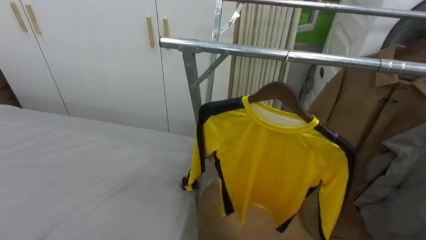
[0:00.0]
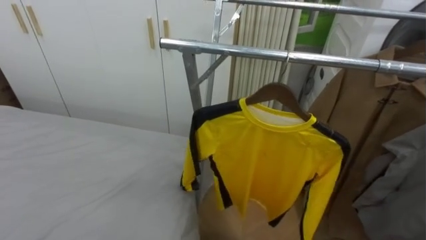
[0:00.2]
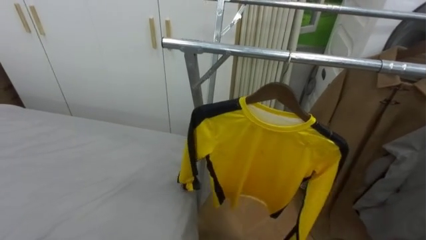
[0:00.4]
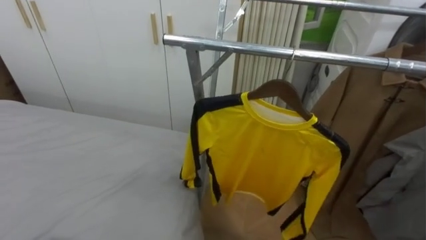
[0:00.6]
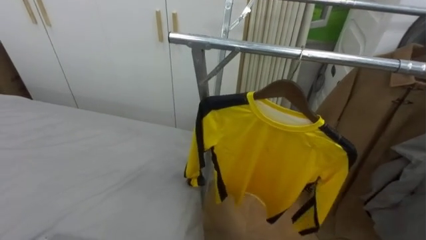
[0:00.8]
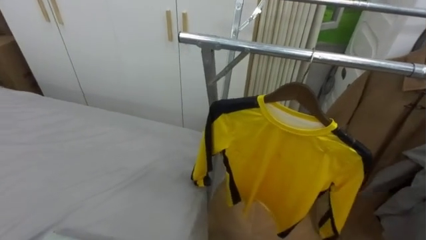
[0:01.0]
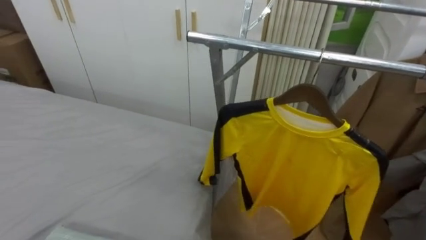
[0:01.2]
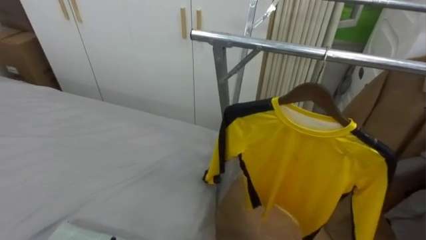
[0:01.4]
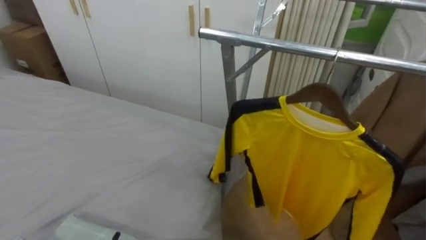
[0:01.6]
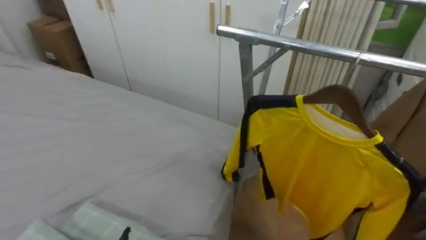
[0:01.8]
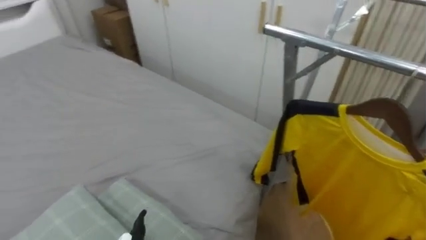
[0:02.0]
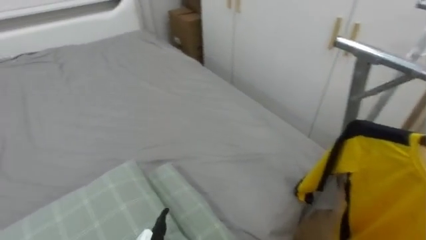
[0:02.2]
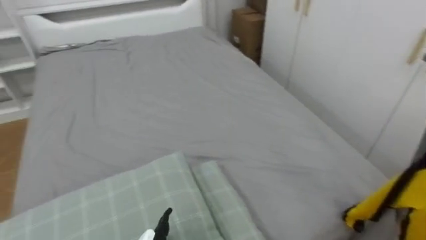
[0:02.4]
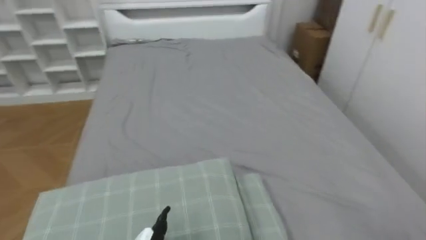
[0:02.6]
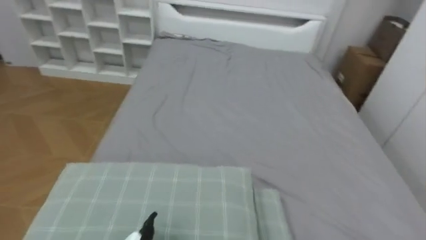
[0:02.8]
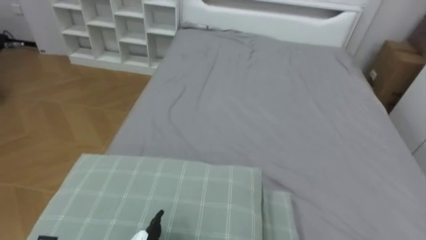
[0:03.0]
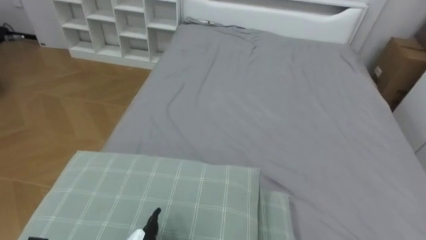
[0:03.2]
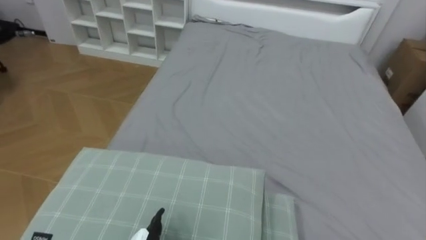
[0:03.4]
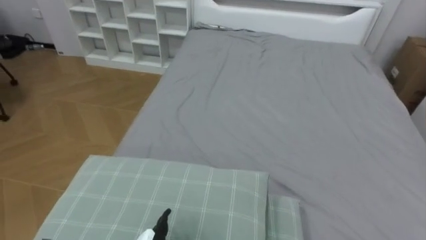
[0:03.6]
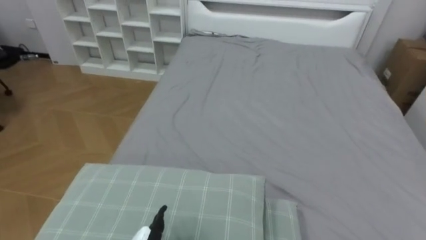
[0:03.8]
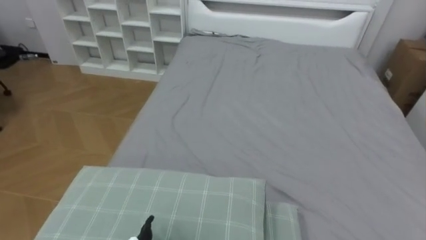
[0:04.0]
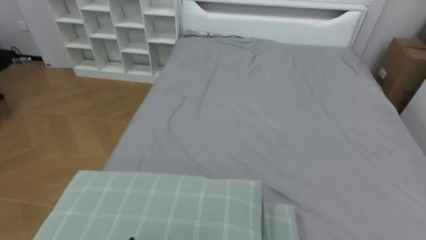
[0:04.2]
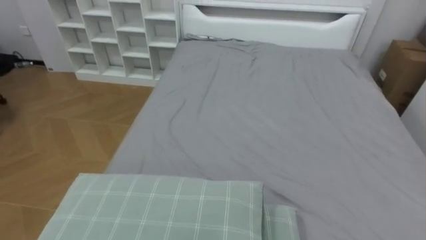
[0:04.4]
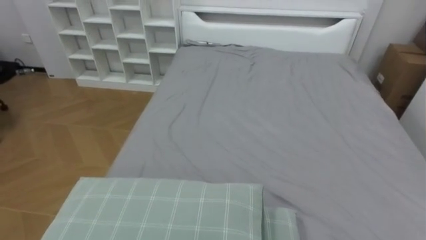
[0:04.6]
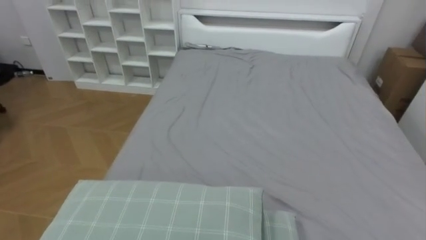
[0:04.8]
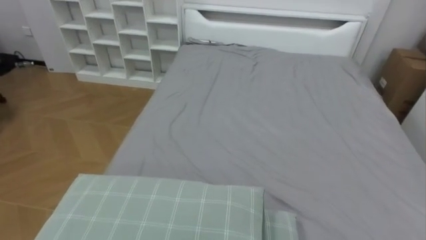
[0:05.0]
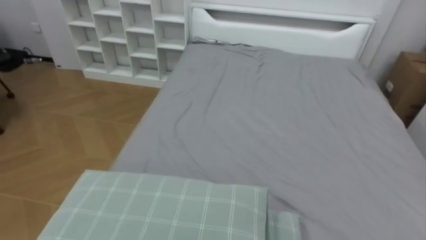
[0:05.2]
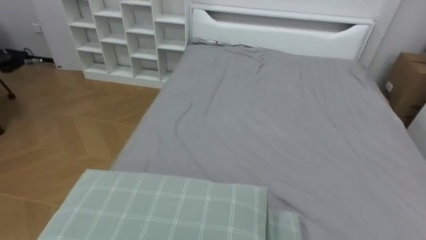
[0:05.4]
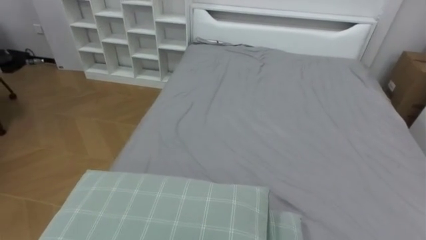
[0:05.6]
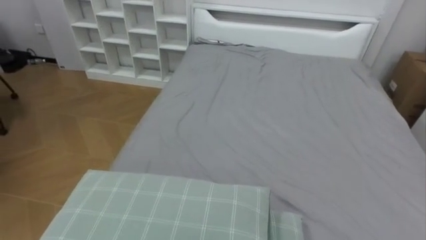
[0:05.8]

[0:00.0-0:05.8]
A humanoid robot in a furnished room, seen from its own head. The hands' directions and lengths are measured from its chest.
Task of the whole recording: Pick up the yellow shirt on the bed and hang it on the clothes rack on the right.
0:01.4 to 0:02.8: The robot rotates approximately 75 degrees to its left.

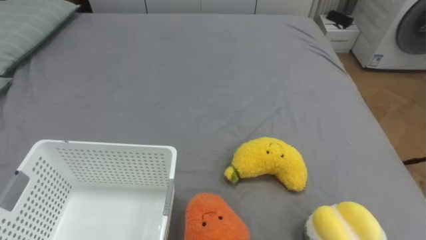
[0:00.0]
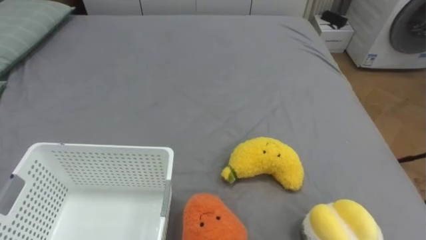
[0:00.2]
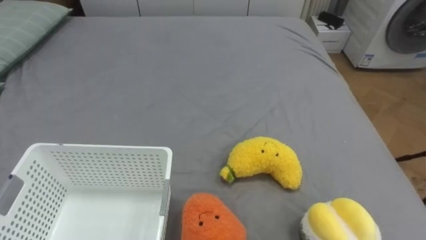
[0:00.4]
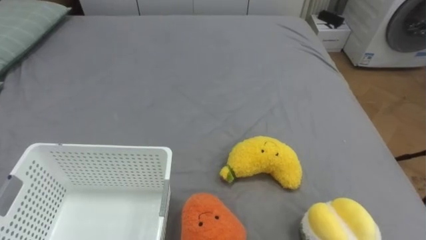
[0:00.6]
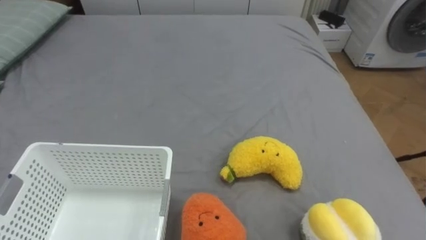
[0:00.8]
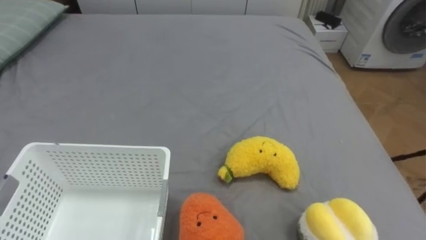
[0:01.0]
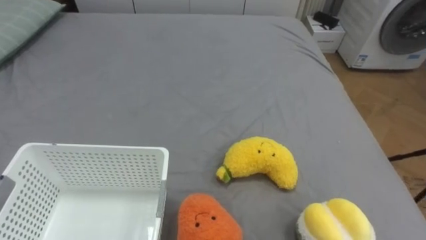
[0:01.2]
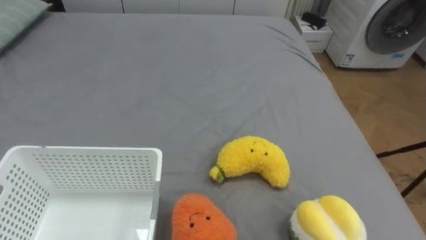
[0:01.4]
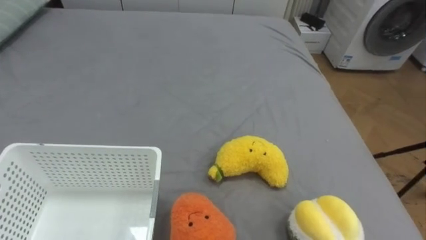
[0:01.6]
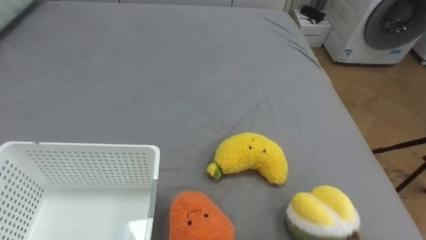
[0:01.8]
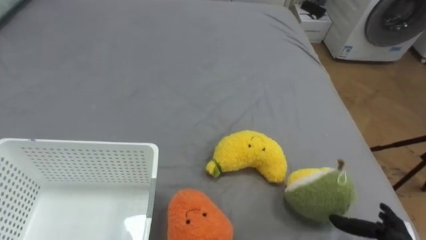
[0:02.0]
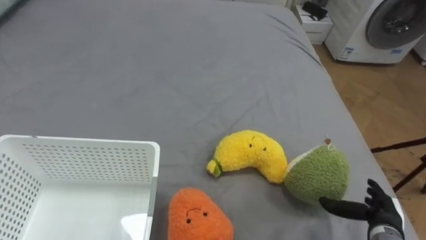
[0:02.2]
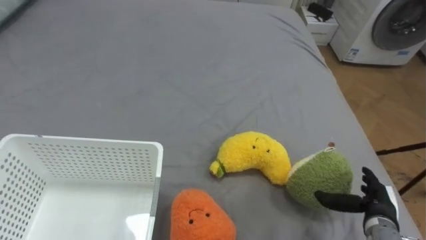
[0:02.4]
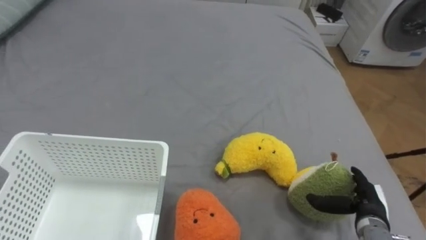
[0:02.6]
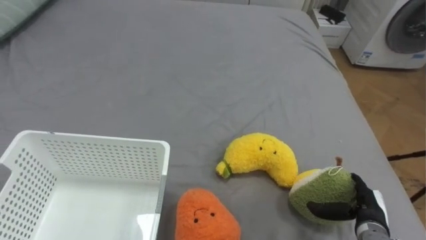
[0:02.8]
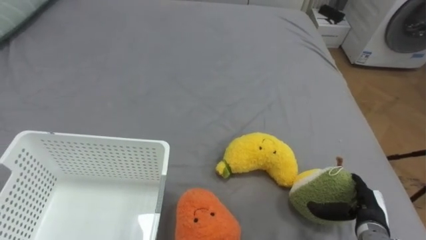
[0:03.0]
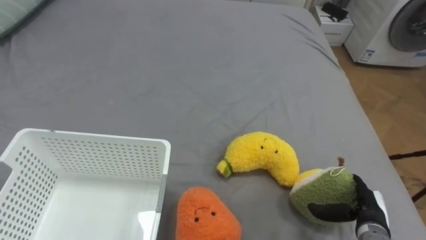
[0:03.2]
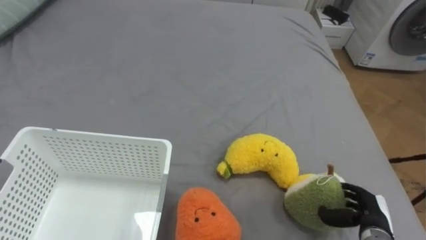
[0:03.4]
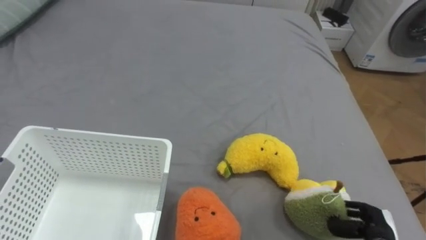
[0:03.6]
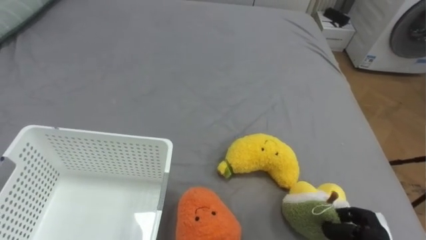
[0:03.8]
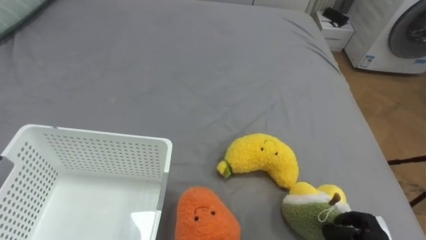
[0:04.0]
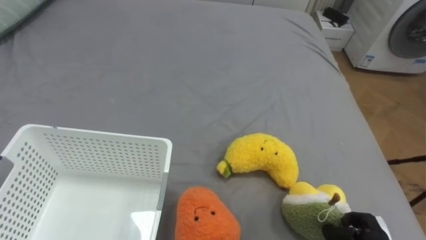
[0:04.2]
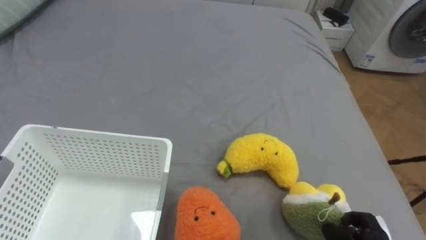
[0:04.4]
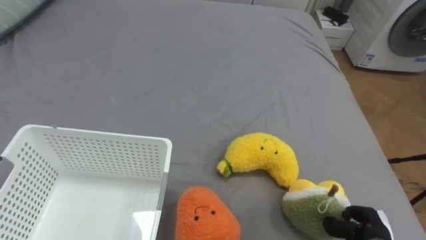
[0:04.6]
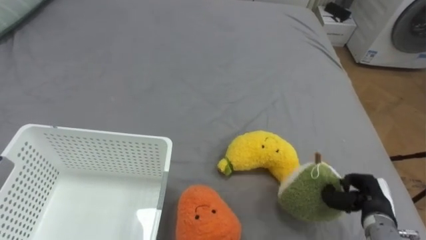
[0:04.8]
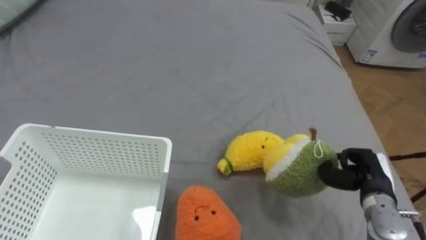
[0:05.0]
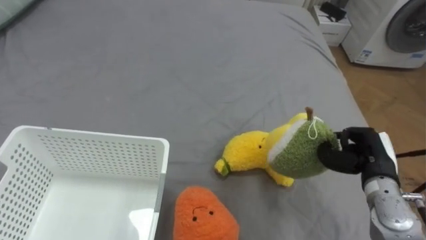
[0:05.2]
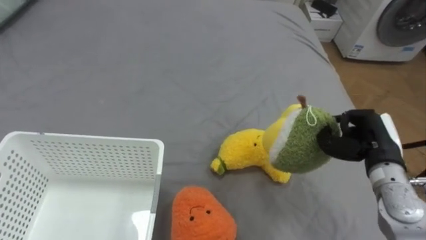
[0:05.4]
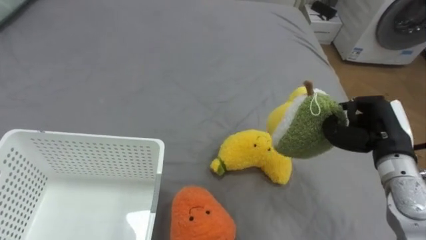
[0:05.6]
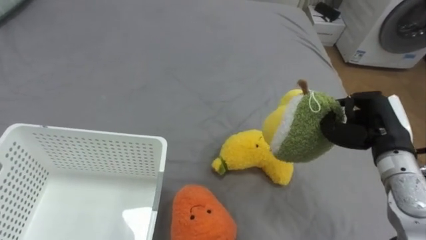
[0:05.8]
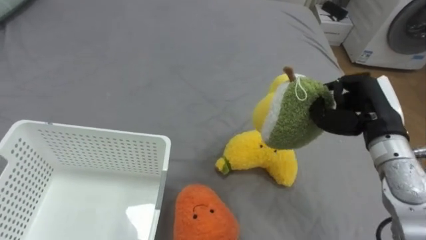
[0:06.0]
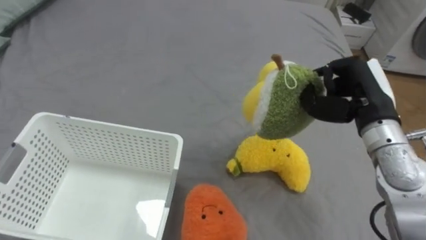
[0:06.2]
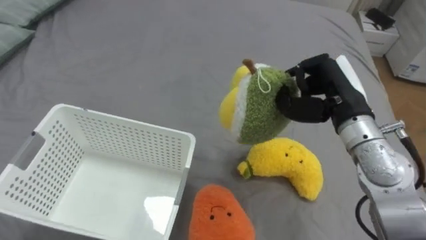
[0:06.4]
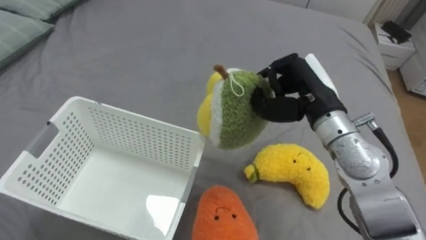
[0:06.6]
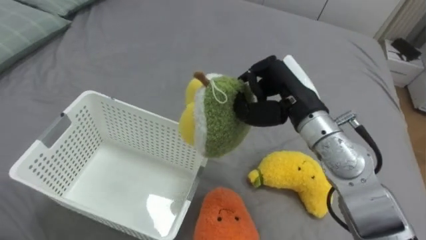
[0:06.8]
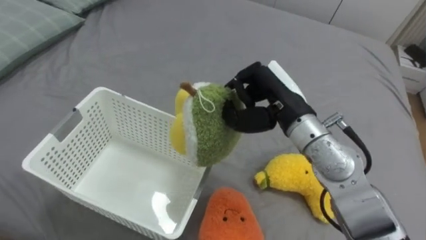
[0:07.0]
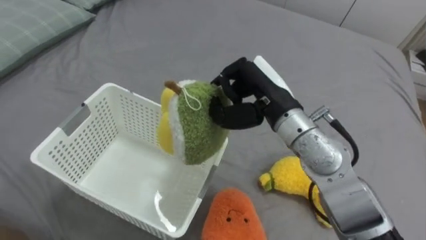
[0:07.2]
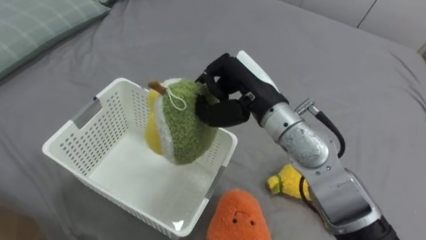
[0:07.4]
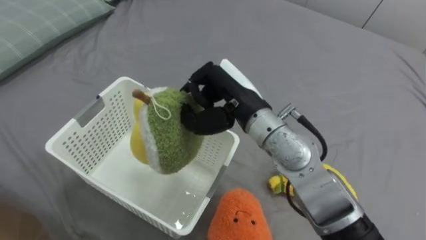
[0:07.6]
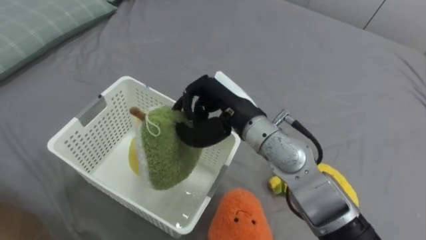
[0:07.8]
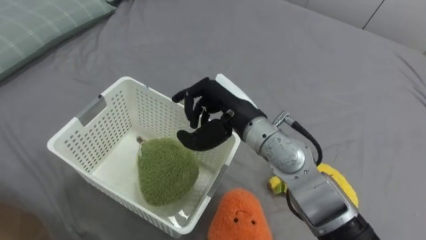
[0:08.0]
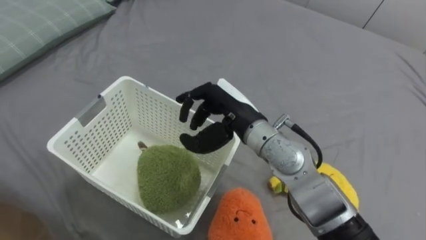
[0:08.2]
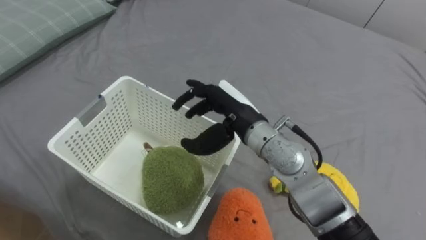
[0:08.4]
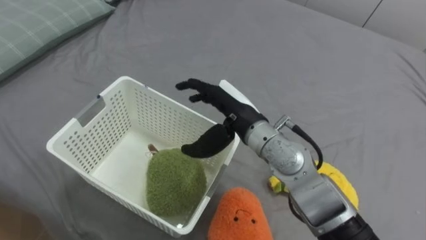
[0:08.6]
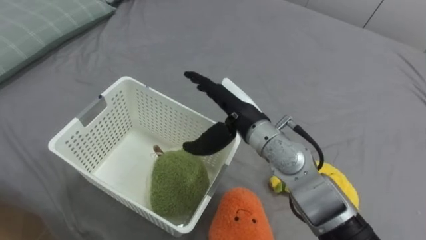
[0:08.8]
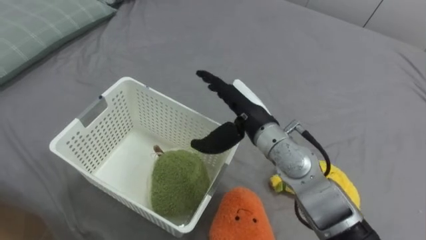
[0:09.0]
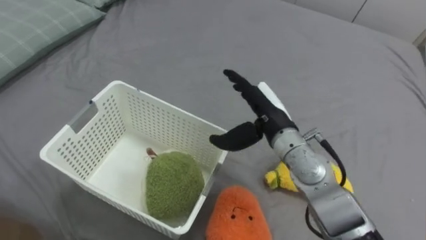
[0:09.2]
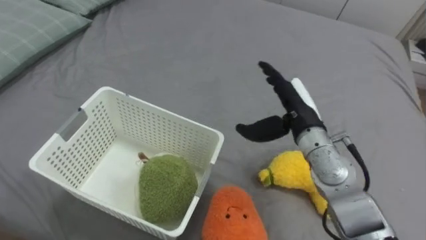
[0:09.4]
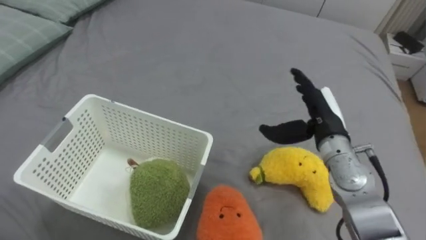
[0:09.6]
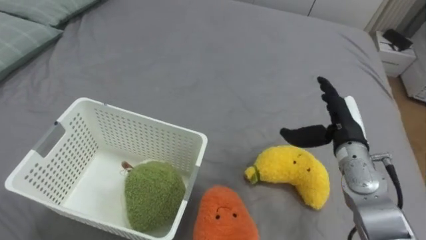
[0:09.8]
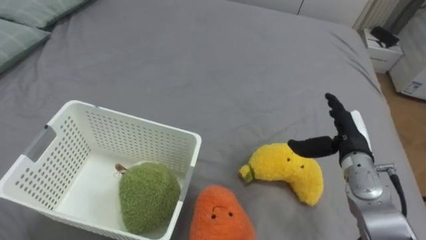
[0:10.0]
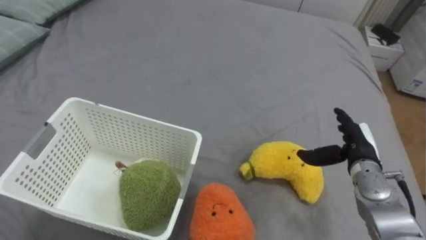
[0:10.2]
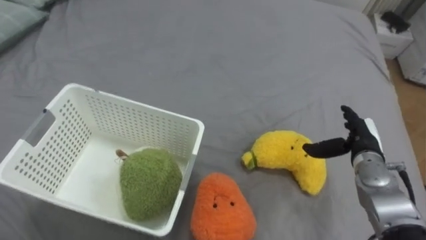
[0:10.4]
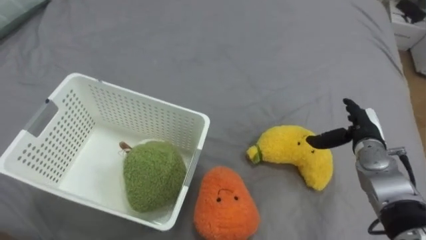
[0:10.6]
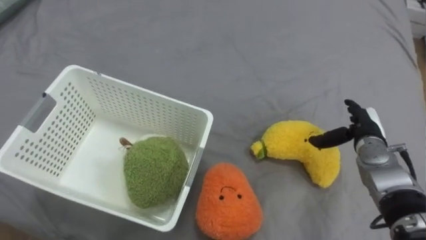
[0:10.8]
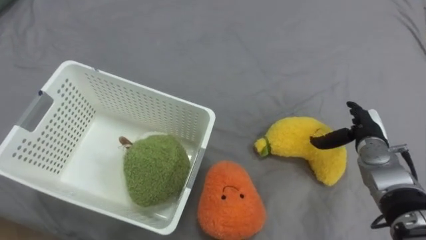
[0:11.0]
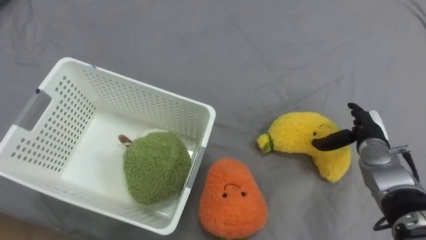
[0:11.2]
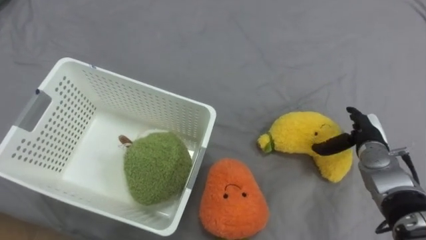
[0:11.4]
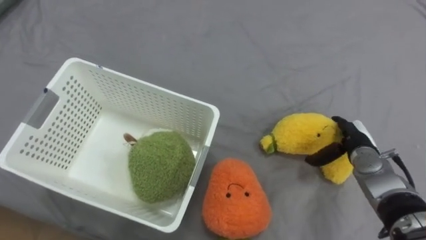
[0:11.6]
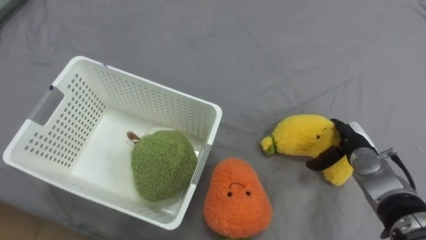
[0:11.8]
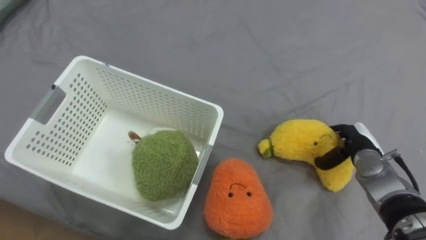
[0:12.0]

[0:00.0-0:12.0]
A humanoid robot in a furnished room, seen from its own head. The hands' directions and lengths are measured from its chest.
Task of the whole recording: Put the toys on the bed into the basket on the left.
0:03.0 to 0:04.4: The right hand changes place by roughly 5 cm, and closes its fingers.
0:04.4 to 0:06.0: The right hand is displaced upward and forward by roughly 30 cm.
0:06.0 to 0:07.6: The right hand goes about 25 cm to the left.
0:07.6 to 0:09.0: The right hand goes some 5 cm downward, and opens.
0:09.0 to 0:10.4: The right hand shifts roughly 25 cm to the right and downward.
